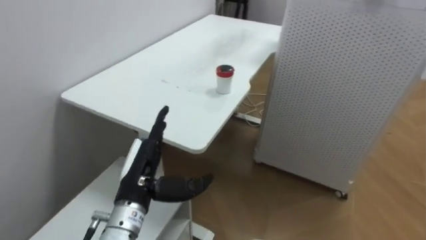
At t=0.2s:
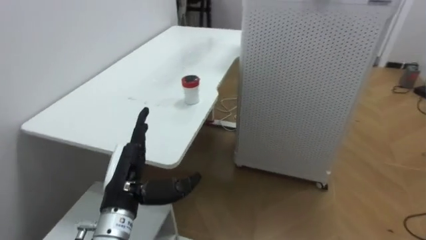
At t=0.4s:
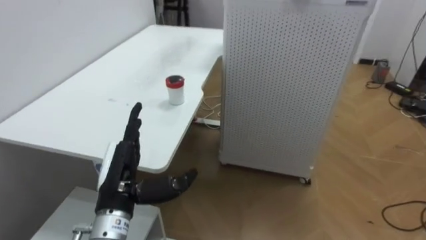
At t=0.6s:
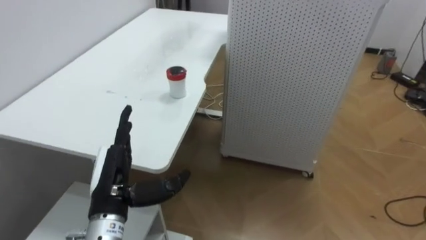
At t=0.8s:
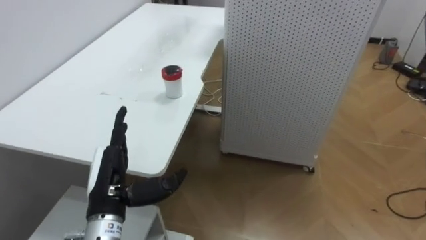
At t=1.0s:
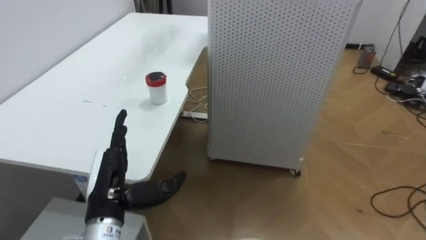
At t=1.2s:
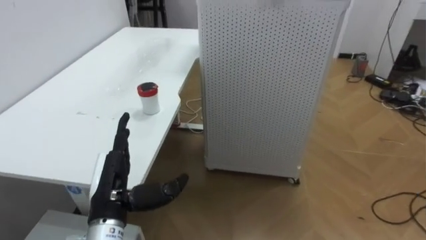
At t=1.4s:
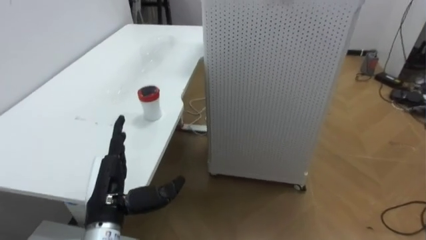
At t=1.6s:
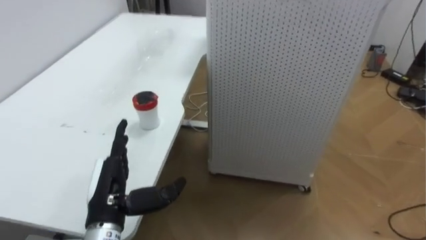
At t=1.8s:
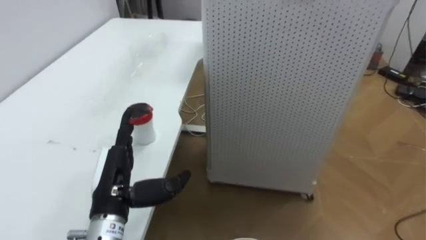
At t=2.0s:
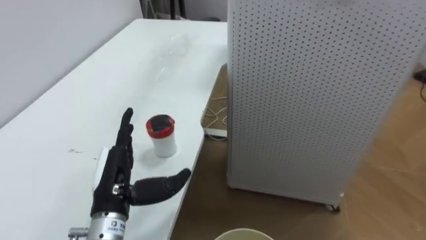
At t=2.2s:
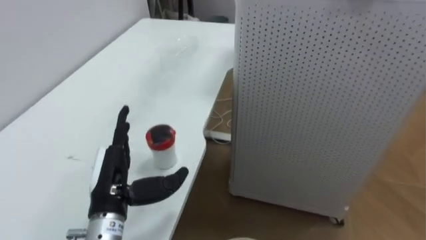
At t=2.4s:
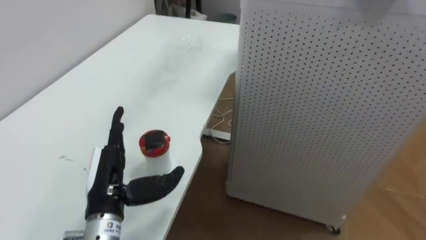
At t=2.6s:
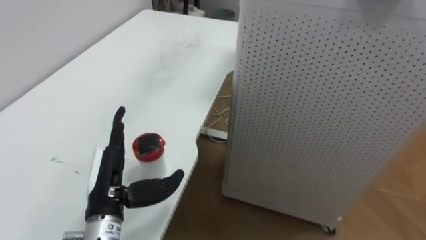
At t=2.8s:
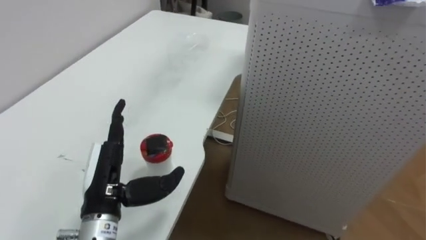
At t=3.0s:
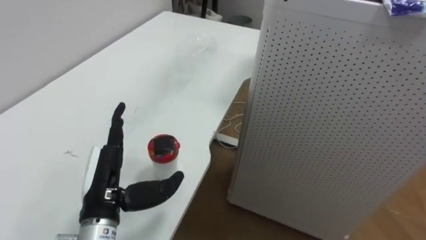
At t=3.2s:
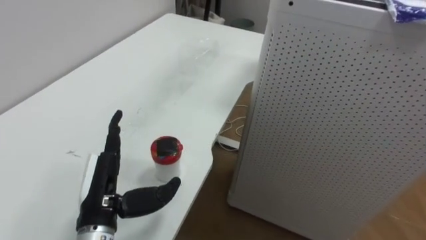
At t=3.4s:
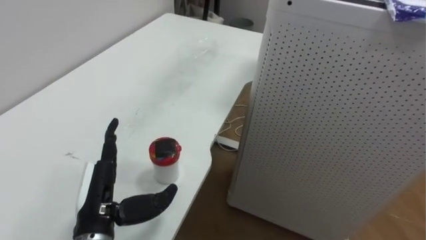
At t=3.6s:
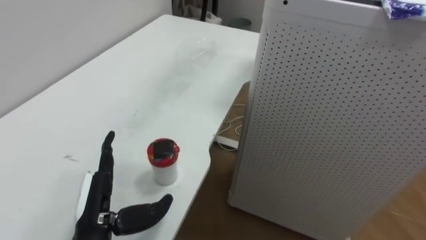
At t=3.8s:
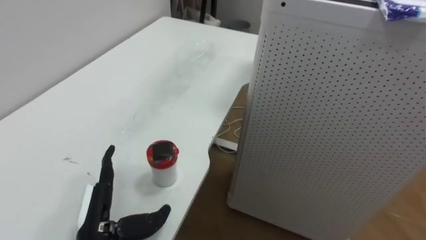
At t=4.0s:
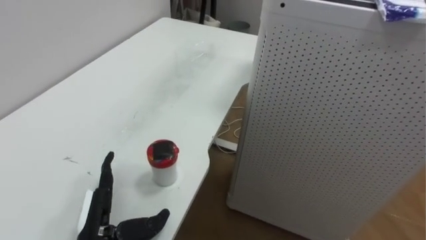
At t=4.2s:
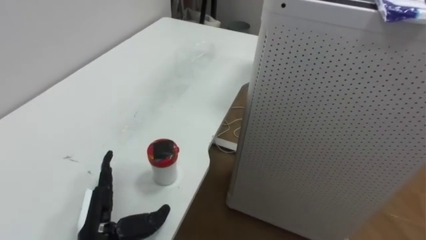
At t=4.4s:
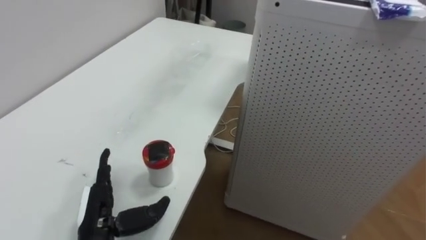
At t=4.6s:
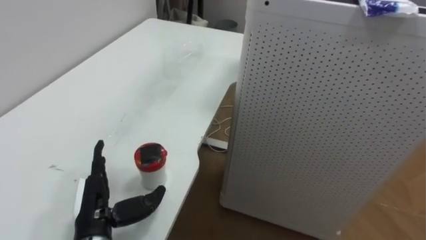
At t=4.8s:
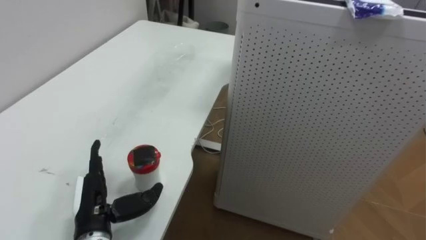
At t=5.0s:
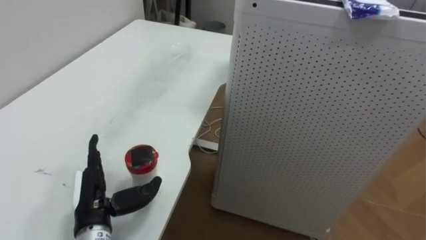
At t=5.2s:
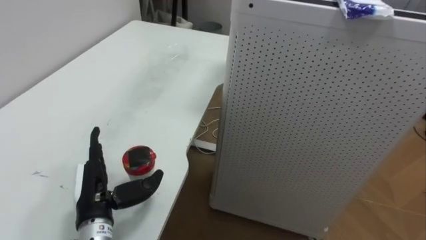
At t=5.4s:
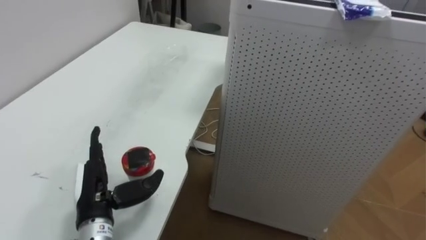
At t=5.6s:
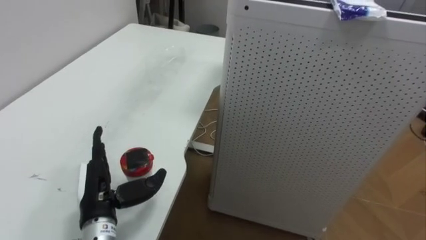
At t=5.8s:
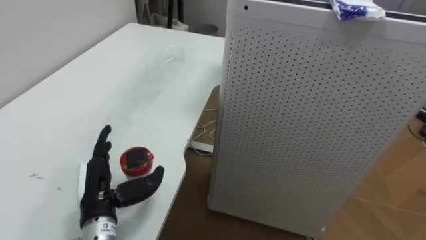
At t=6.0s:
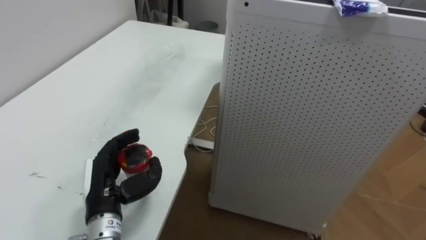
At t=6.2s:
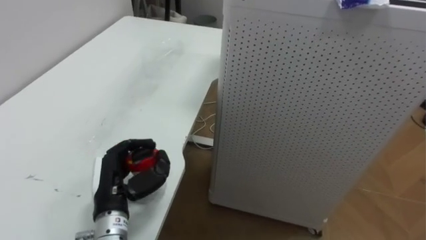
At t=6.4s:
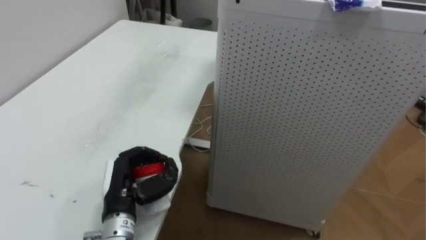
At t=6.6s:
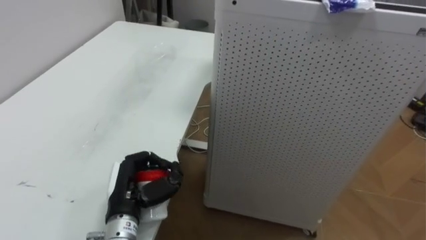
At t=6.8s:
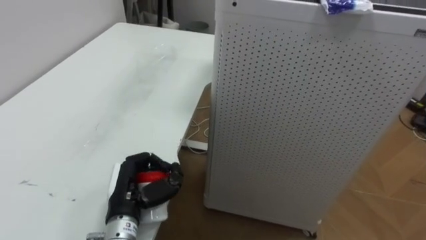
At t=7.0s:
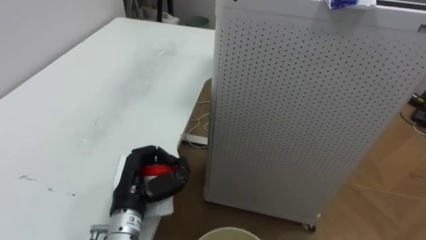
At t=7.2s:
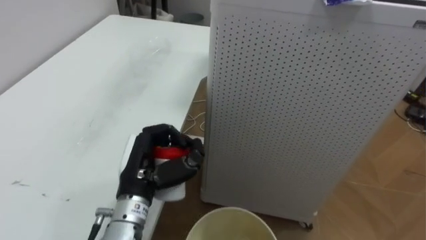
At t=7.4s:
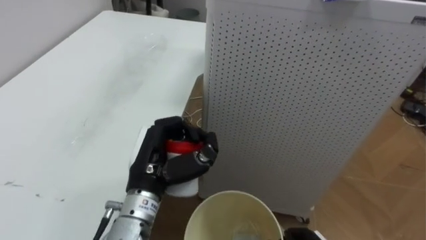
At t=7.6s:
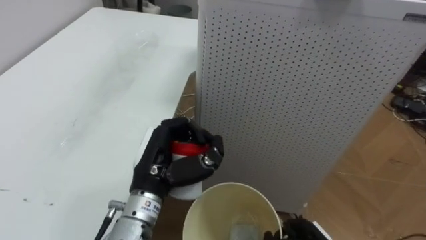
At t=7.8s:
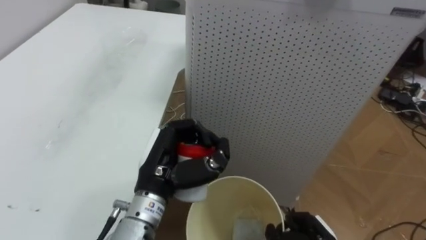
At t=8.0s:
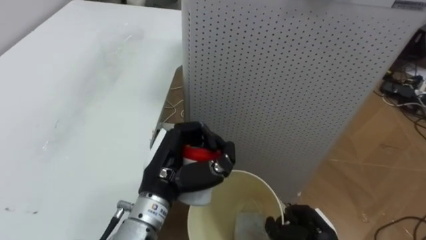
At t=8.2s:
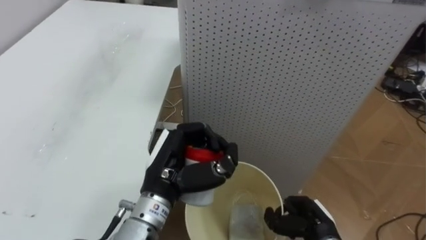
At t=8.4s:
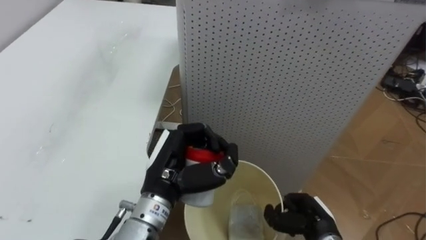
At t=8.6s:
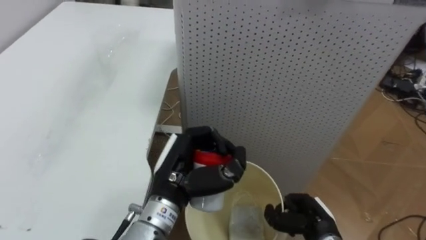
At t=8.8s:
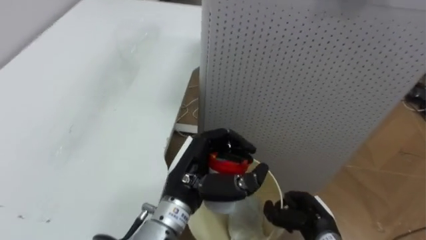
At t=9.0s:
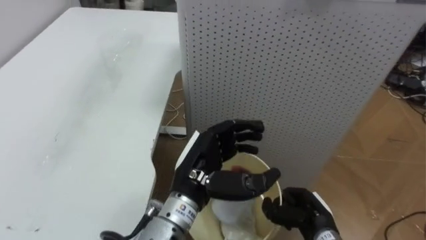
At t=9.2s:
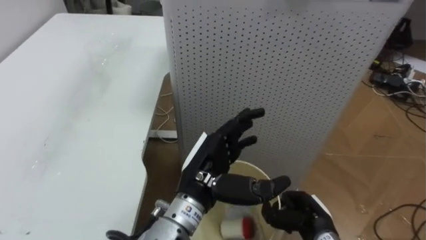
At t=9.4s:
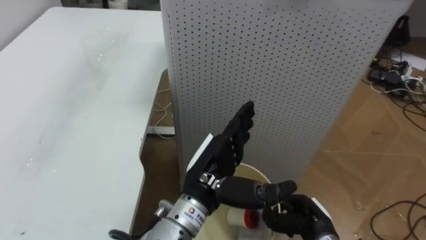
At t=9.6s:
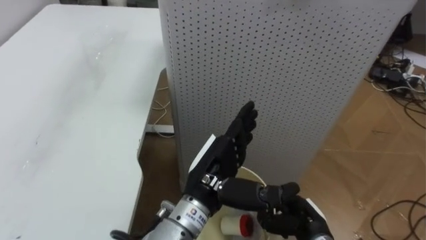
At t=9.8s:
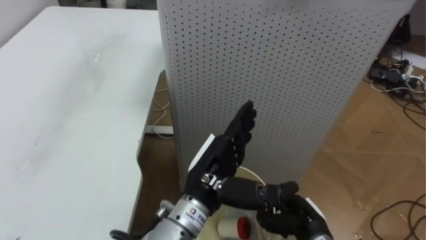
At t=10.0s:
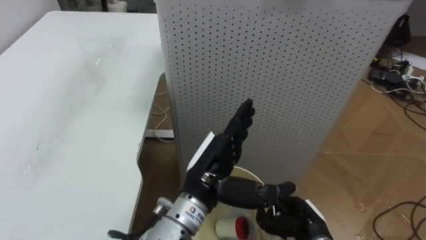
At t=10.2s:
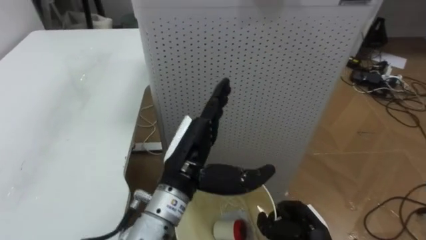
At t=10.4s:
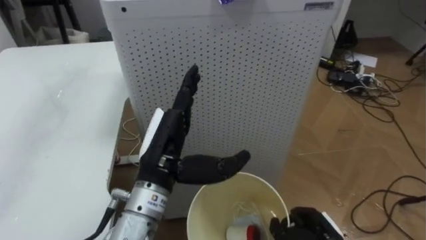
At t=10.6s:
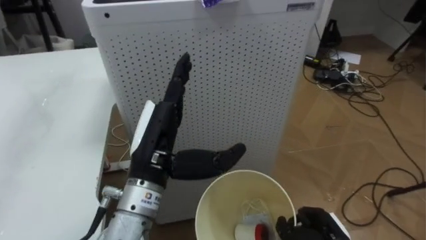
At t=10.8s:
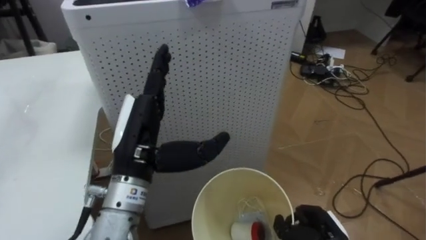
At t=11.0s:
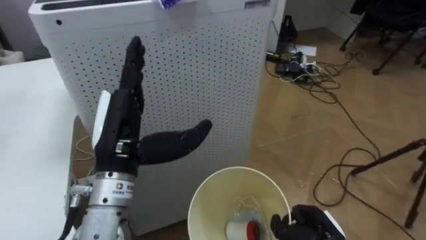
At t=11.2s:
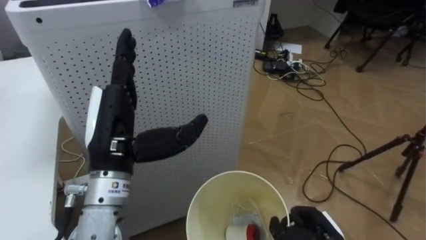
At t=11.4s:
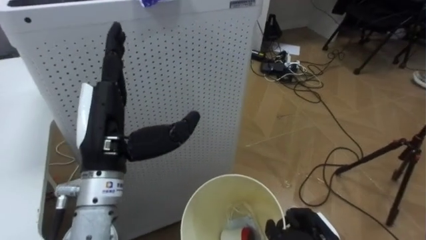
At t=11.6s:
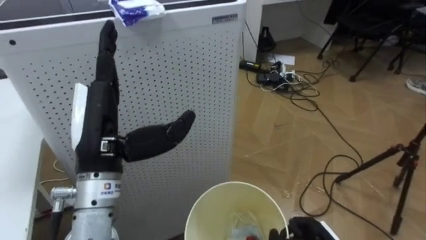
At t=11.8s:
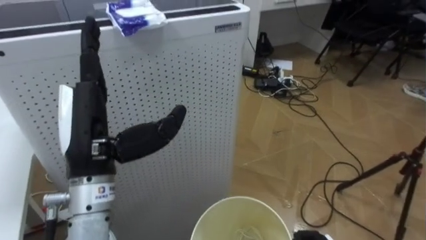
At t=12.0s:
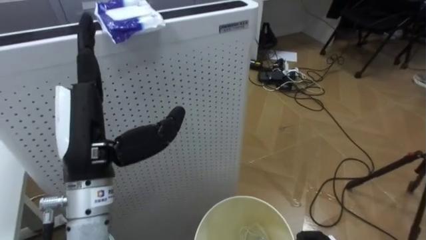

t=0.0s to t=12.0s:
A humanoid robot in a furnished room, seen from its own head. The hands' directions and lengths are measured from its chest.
Task of the whole recording: Pick up the light blue package, the candy box, and the dark blue package separately, and put them into the trash can held in your right hand.
t=0.0s to t=1.6s: The robot faces roughly 25 degrees further to its right. The left hand heads to the left, covering some 5 cm.
t=3.0s to t=4.4s: The left hand moves downward, approximately 10 cm.
t=6.0s to t=7.6s: The left hand moves to the right and upward, about 10 cm, and closes.
t=7.6s to t=9.0s: The left hand goes roughly 5 cm to the right, and opens its fingers.
t=9.0s to t=10.4s: The left hand shifts about 5 cm to the left.
t=10.4s to t=12.0s: The robot rotates approximately 25 degrees to its right. The left hand travels to the left and upward by roughly 10 cm.

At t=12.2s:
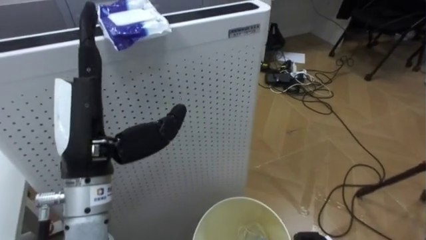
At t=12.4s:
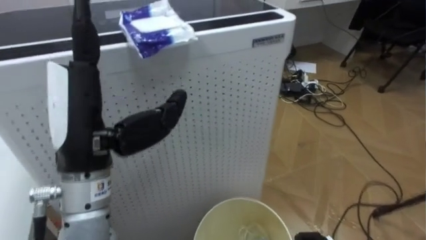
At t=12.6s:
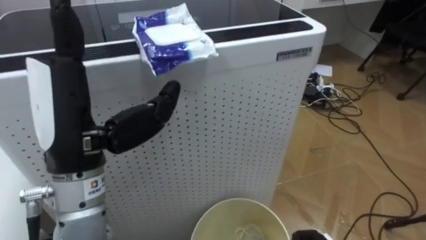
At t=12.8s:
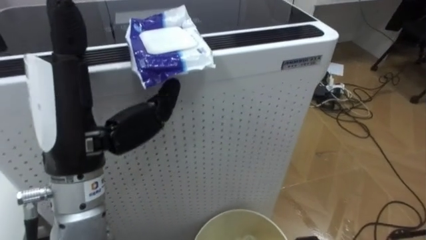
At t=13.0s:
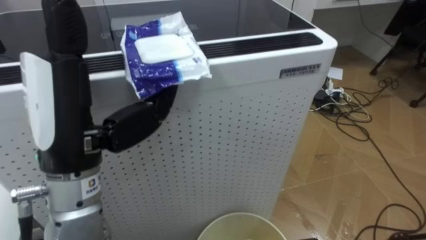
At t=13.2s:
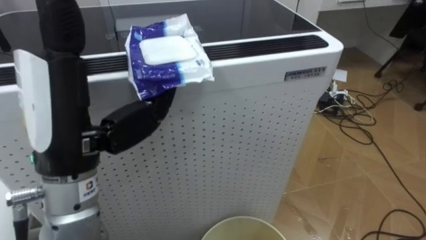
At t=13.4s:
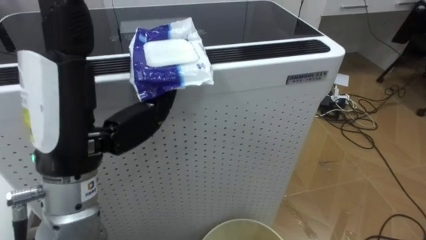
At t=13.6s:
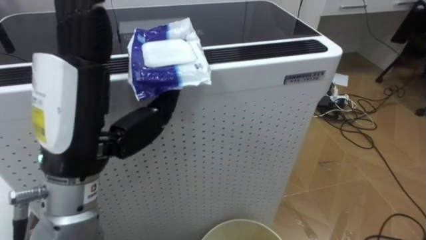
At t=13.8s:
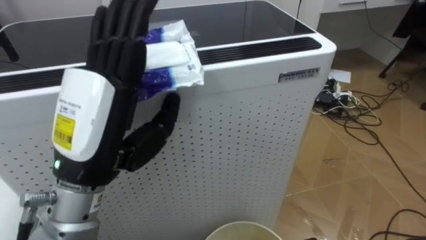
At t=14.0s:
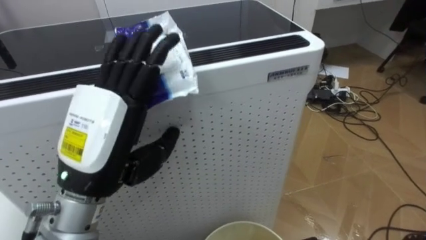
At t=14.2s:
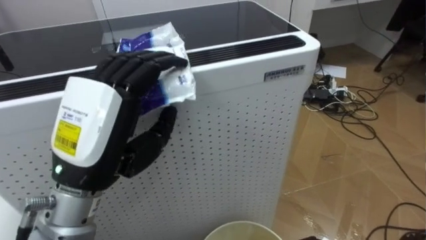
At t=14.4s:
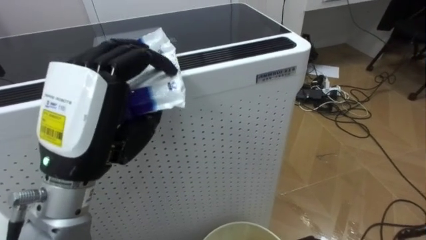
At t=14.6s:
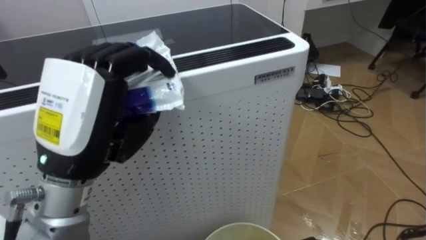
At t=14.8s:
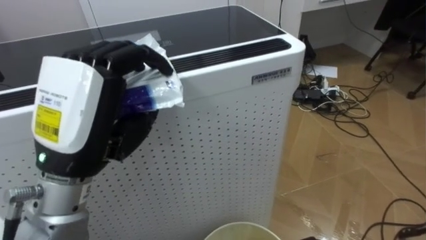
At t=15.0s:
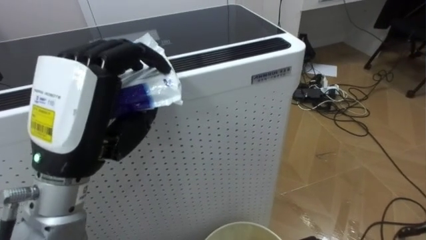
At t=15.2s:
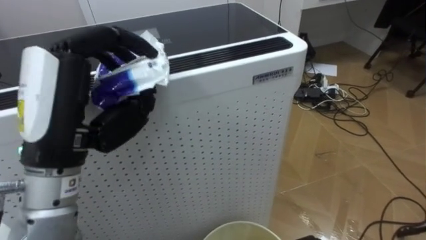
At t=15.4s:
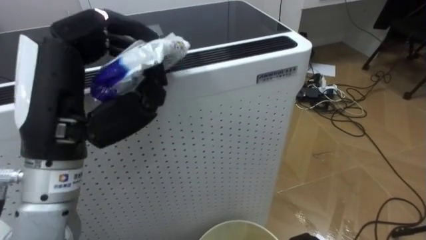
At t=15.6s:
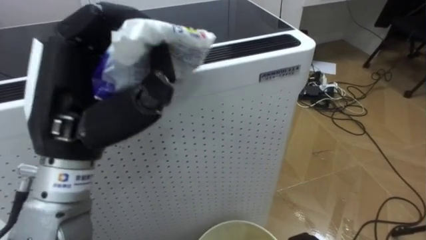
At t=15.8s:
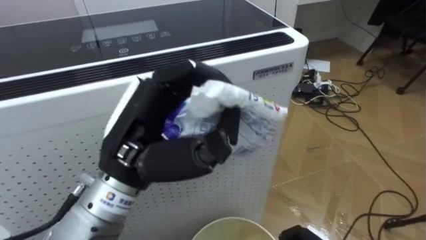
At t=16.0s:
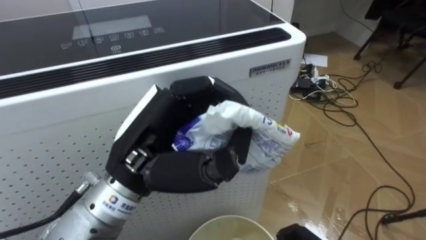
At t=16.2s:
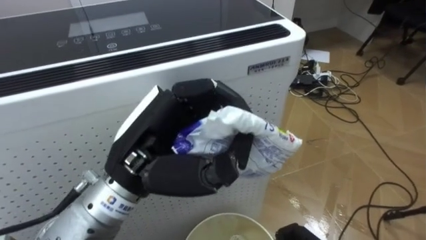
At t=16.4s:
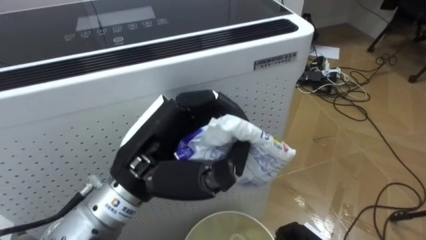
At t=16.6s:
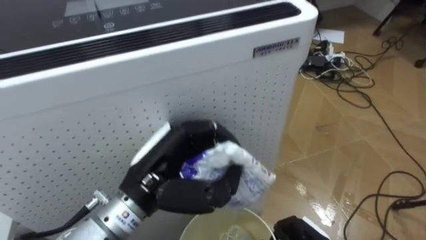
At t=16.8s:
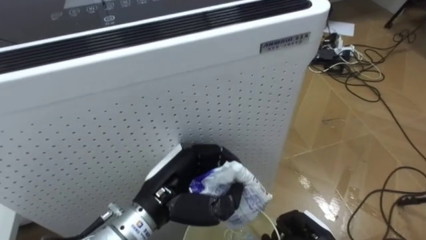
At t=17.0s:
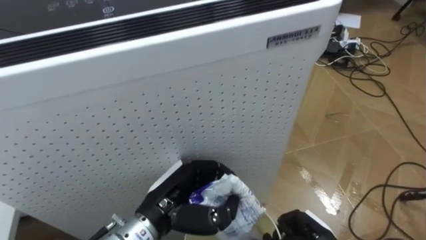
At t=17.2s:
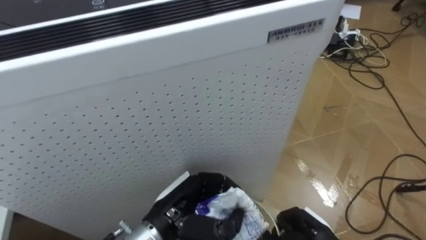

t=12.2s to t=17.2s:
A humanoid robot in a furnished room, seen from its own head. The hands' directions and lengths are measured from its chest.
Task of the whole recording: Pick up the light blue package, the candy box, and the dark blue package separately, and put them into the trash can held in your right hand.
t=13.8s to t=15.6s: The left hand closes its fingers.
t=15.6s to t=17.2s: The left hand travels downward by some 20 cm.
